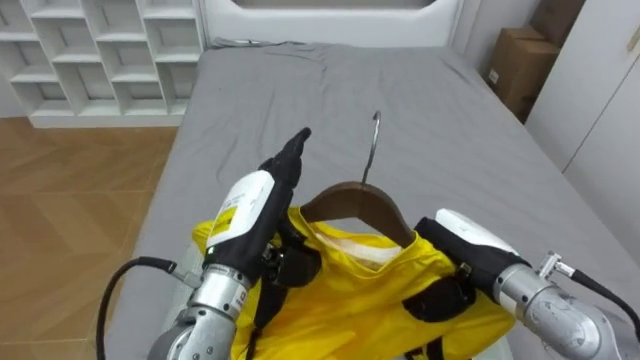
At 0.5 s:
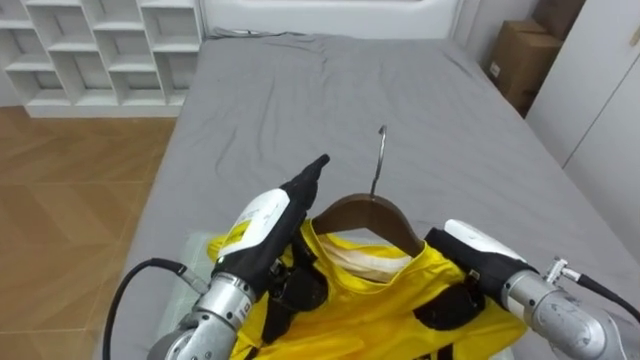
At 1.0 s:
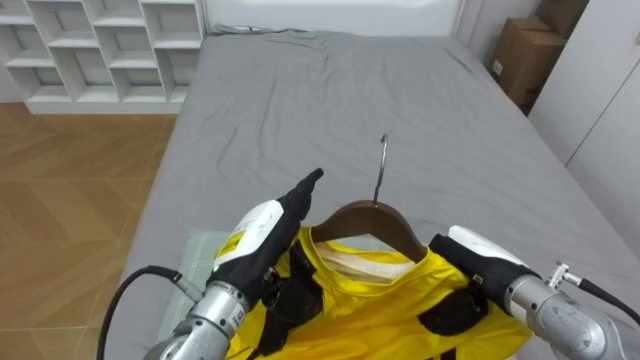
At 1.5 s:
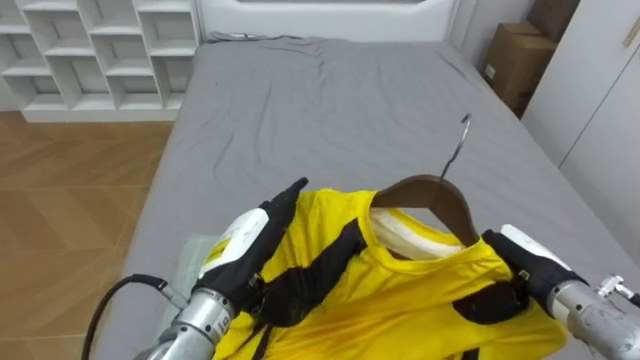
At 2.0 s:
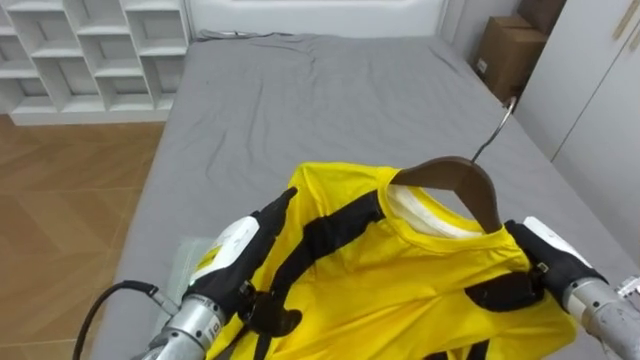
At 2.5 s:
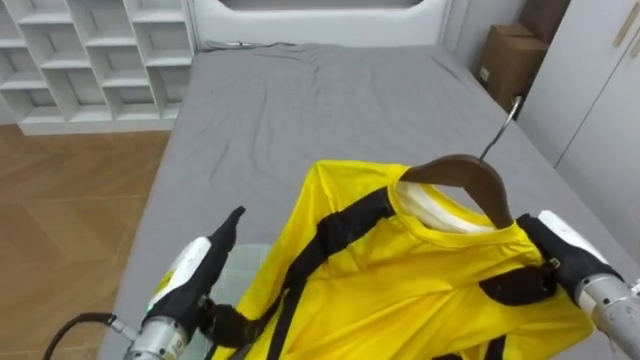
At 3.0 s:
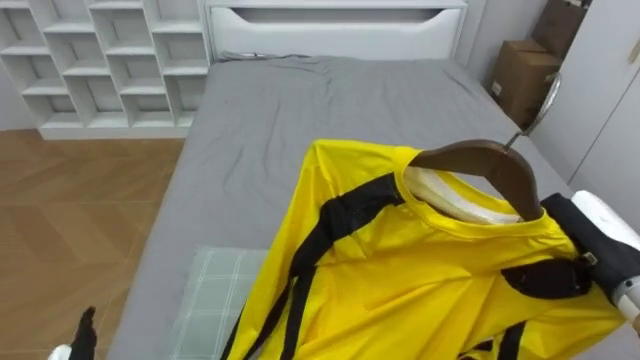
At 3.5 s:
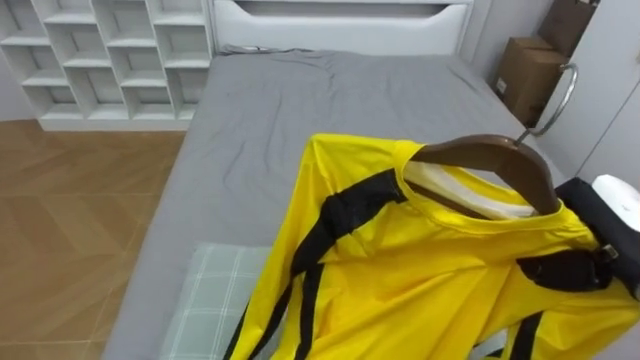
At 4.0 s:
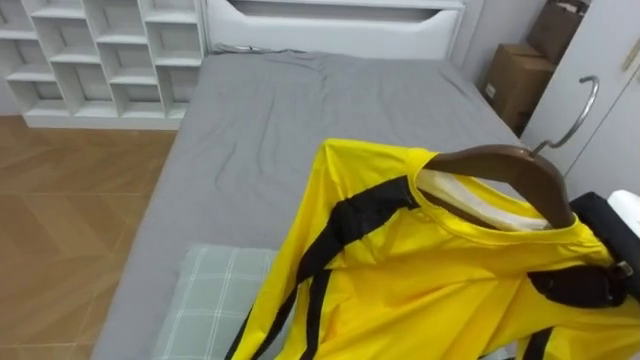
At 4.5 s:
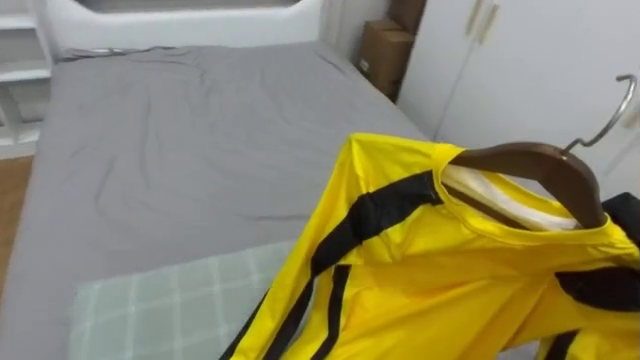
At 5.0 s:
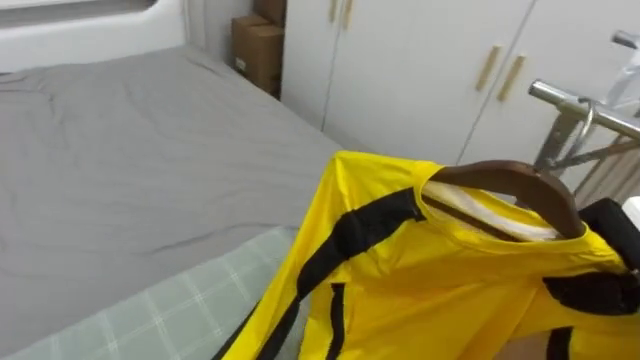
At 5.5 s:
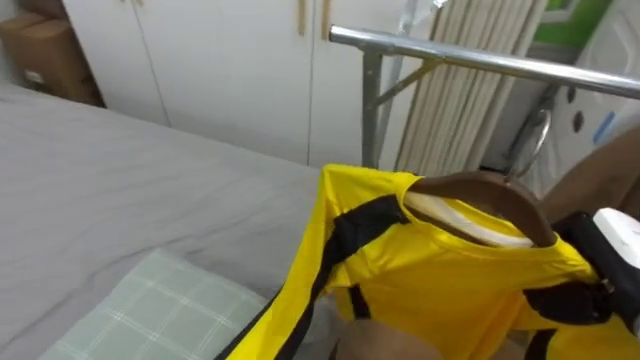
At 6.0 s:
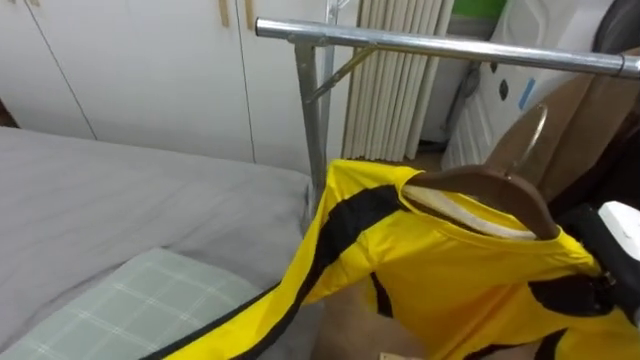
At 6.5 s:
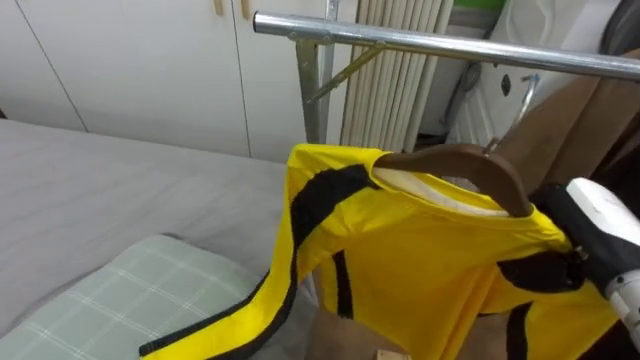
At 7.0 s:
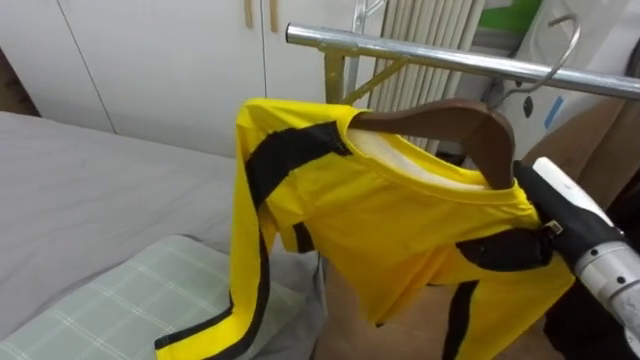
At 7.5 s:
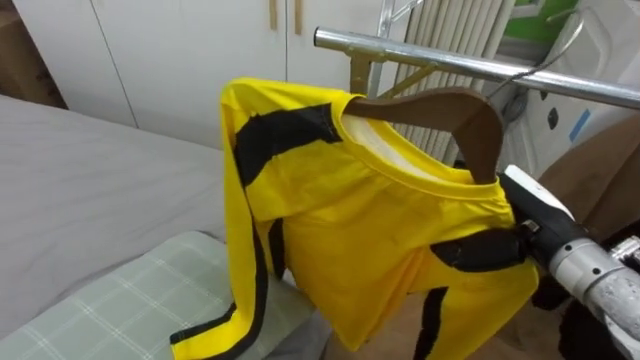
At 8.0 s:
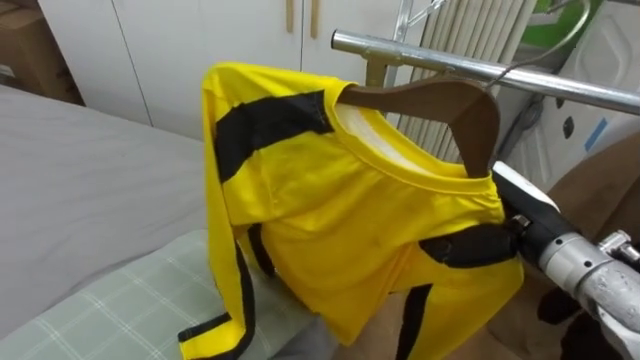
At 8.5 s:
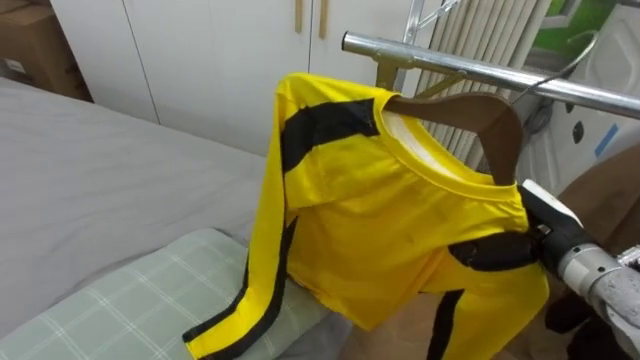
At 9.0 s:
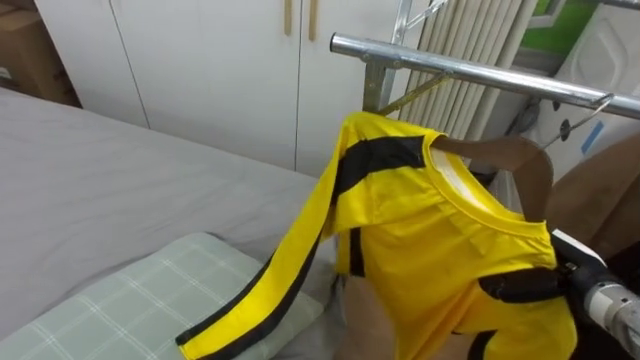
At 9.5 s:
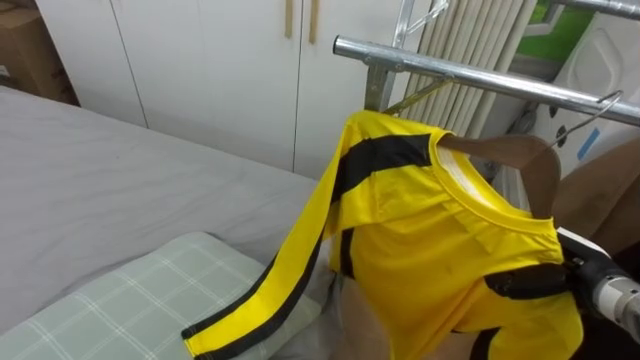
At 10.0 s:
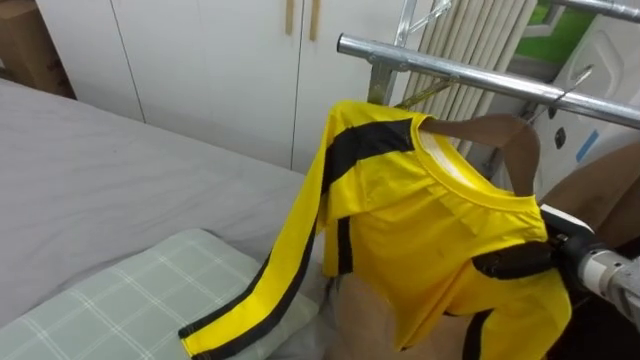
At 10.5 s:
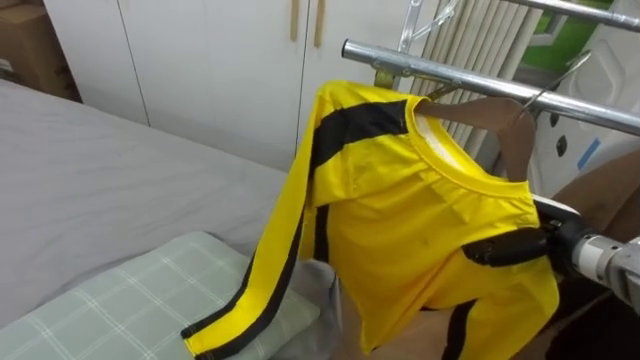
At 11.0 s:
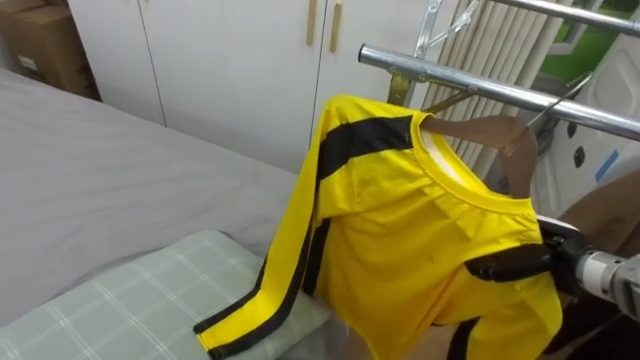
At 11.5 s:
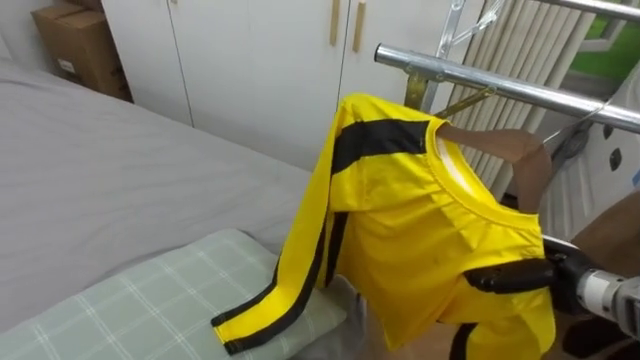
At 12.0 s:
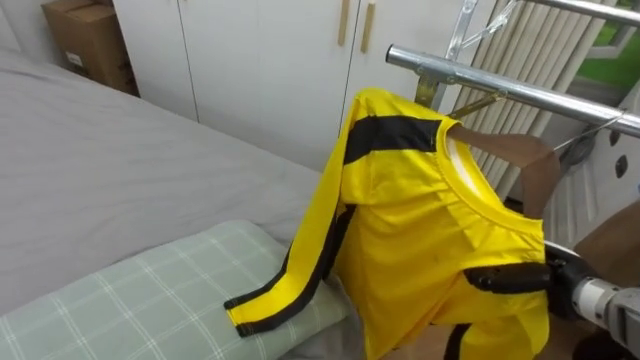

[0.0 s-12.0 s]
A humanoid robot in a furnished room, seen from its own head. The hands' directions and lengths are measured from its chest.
Task of the whole recording: Pick up the yellow shirt on the bed and hang it on the clothes rack on the right.
0.0 to 2.0 s: The right hand is displaced to the right by roughly 10 cm. Meanwhile the left hand heads downward, covering roughly 5 cm.
2.0 to 4.0 s: The right hand heads upward, covering some 10 cm.
4.0 to 6.0 s: The robot's body swings some 75 degrees to its right.
6.0 to 8.0 s: The right hand moves to the left and forward, some 10 cm.
8.0 to 10.0 s: The right hand travels downward and to the right by some 10 cm.

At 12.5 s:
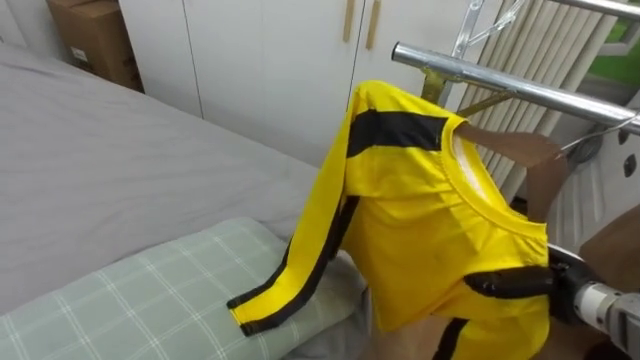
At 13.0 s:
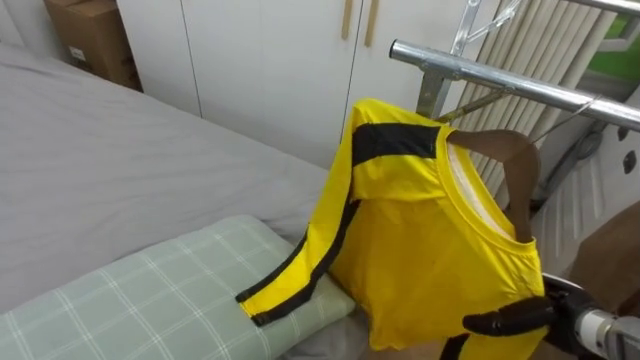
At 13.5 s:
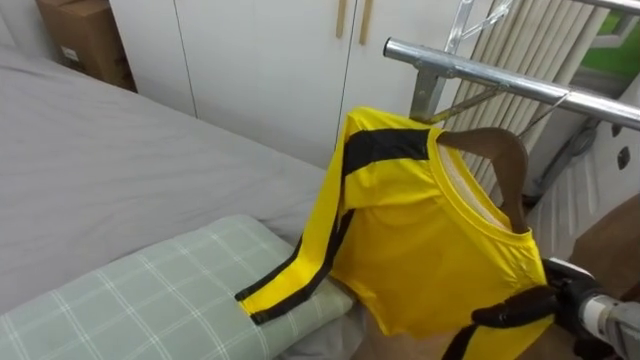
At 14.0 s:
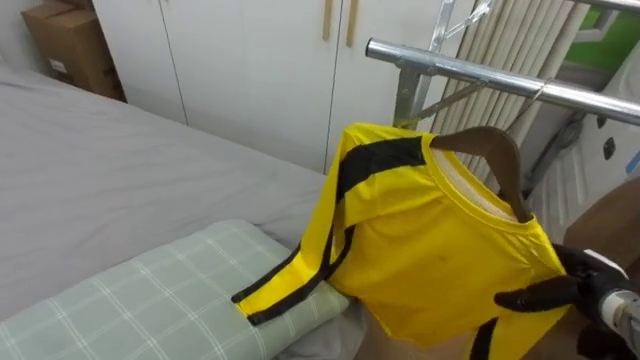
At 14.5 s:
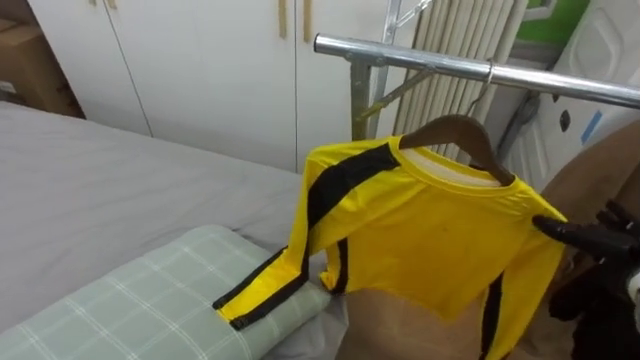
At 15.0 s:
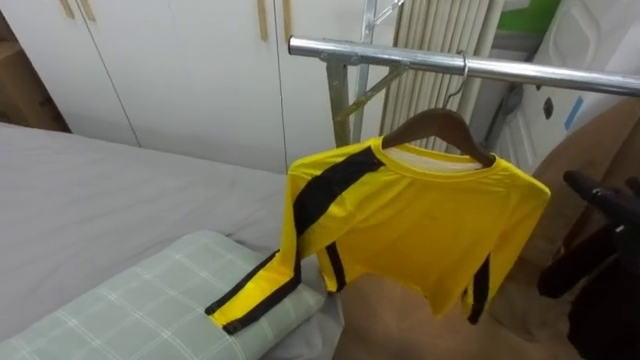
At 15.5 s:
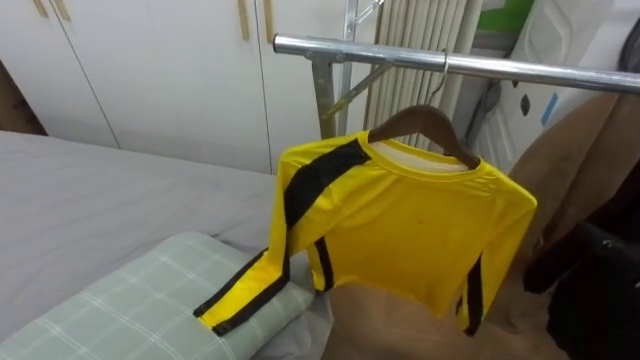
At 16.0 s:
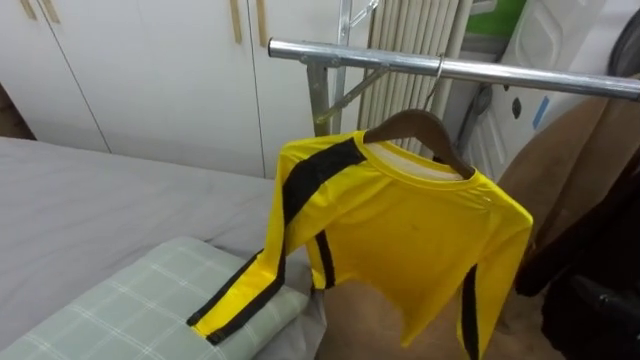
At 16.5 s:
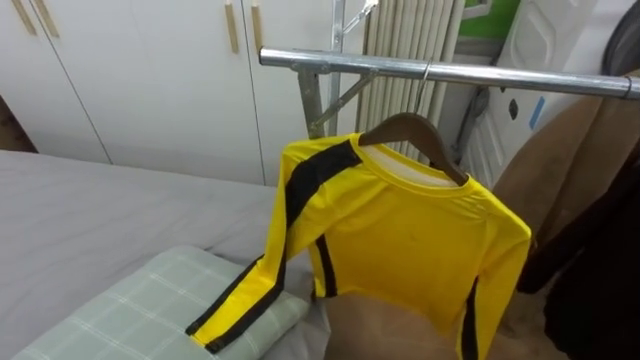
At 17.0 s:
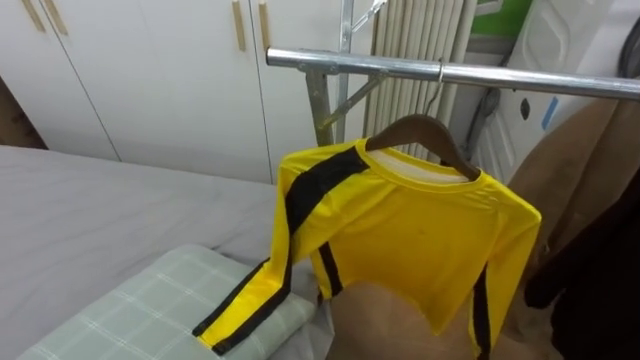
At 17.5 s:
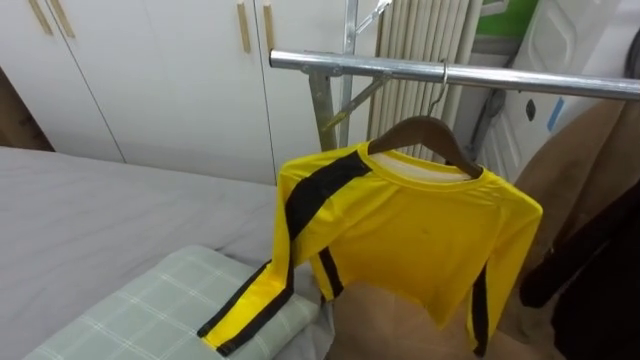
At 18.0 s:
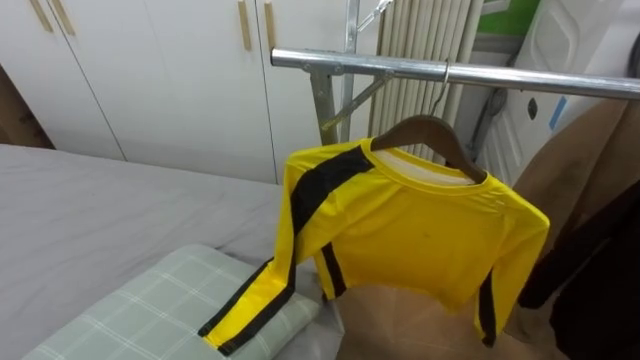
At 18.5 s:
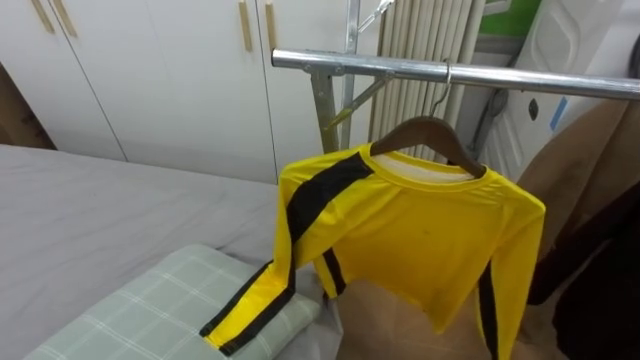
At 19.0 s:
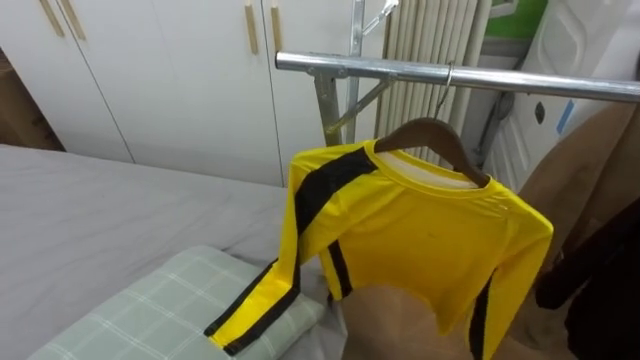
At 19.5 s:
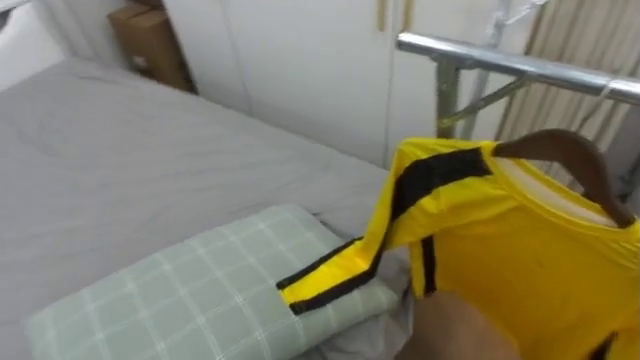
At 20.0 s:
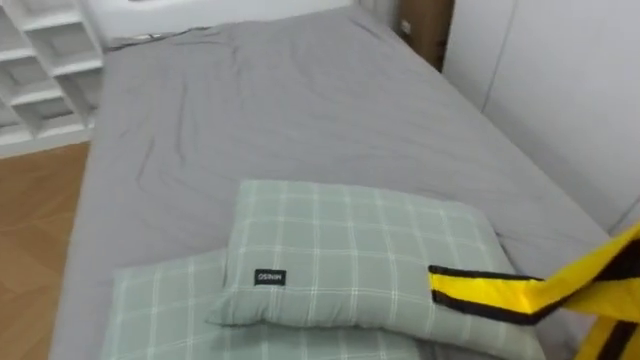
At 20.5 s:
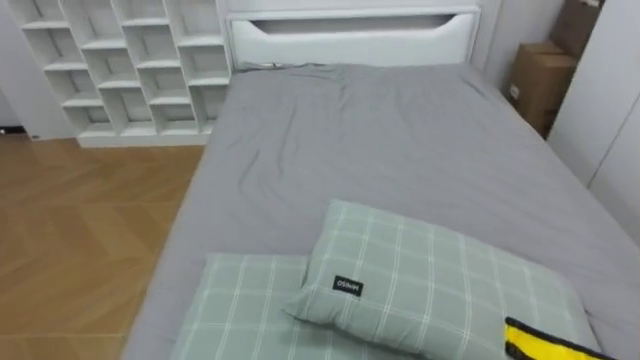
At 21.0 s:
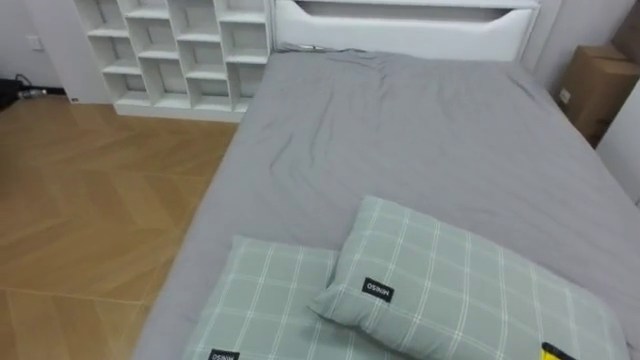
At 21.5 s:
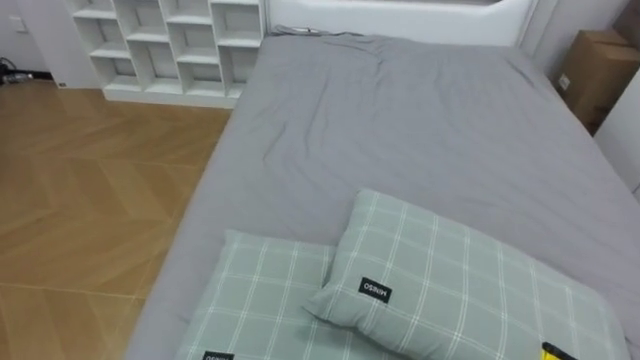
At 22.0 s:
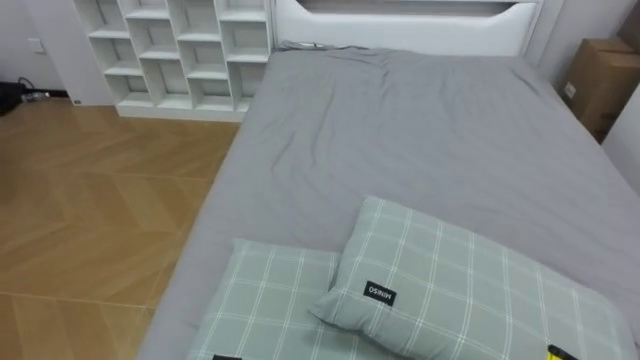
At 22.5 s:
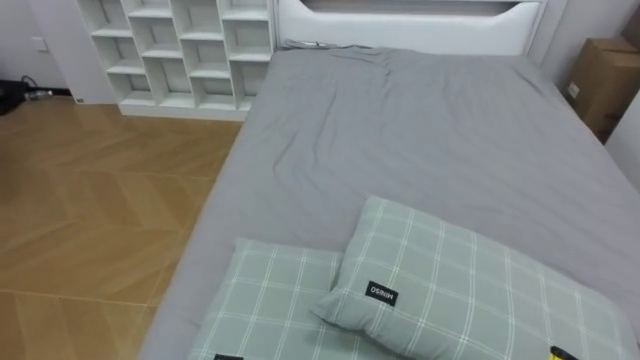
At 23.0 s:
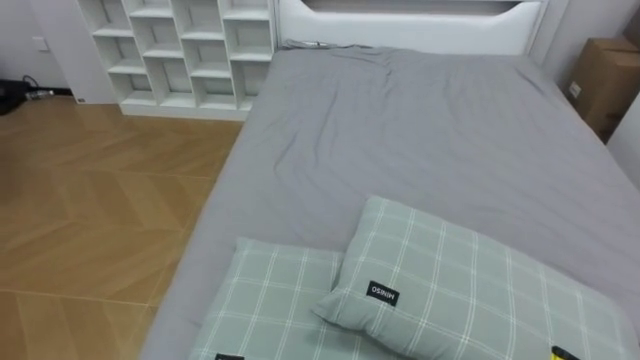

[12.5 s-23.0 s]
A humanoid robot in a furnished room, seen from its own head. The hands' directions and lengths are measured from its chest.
Task of the whole recording: Pick up the yellow shirt on the bed and hang it on the clothes rack on the right.
12.5 to 14.5 s: The right hand is displaced to the right by approximately 10 cm, and opens up.
19.0 to 21.0 s: The robot faces about 80 degrees further to its left.
